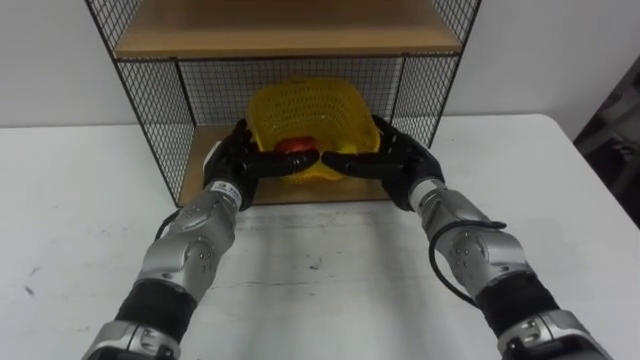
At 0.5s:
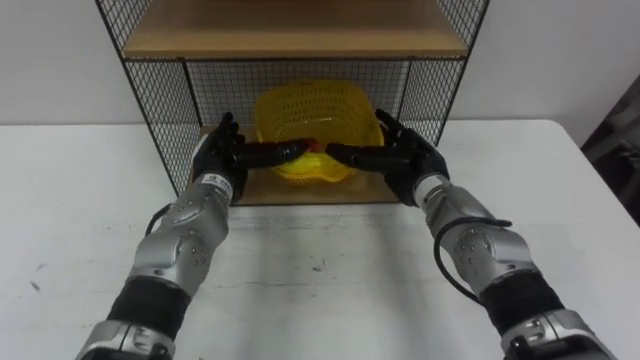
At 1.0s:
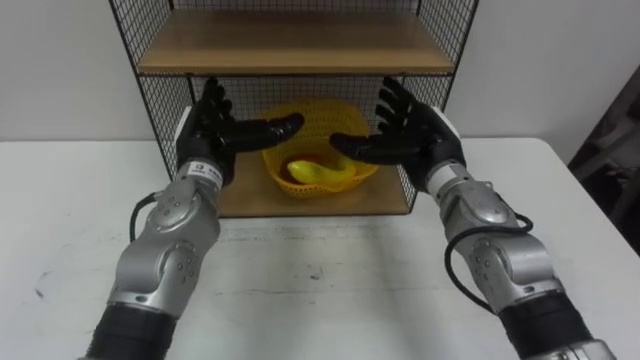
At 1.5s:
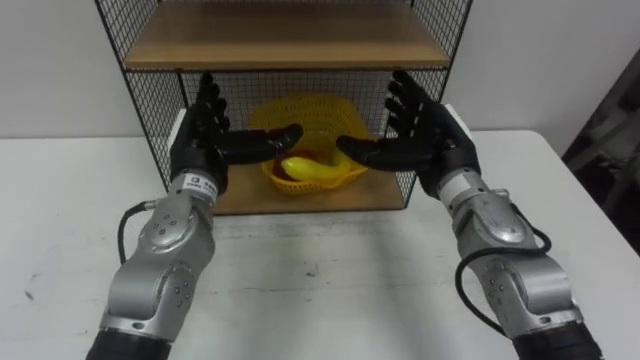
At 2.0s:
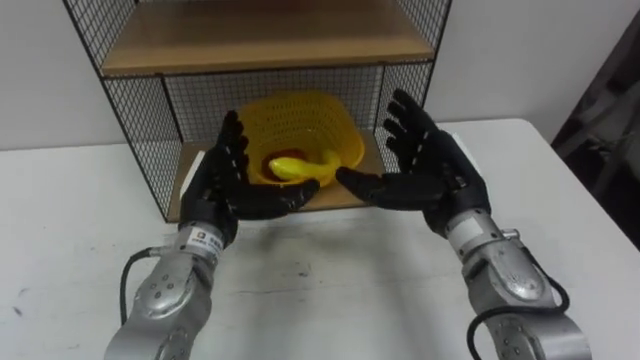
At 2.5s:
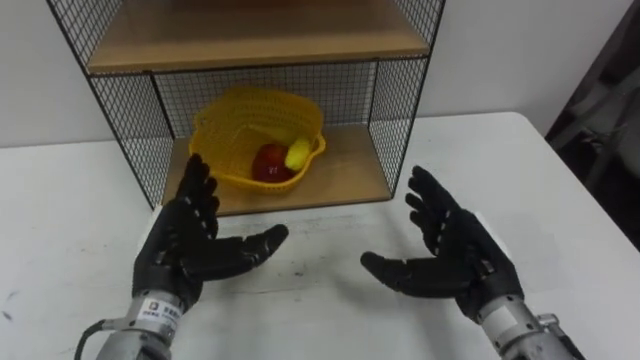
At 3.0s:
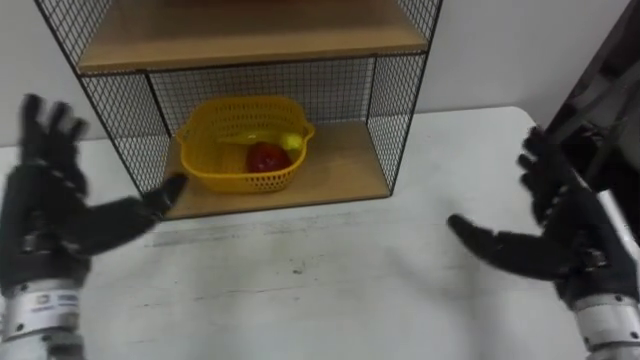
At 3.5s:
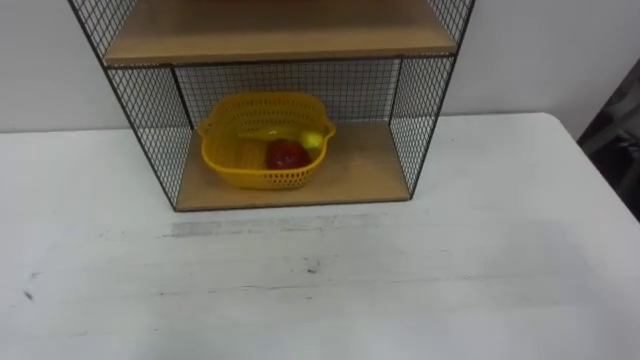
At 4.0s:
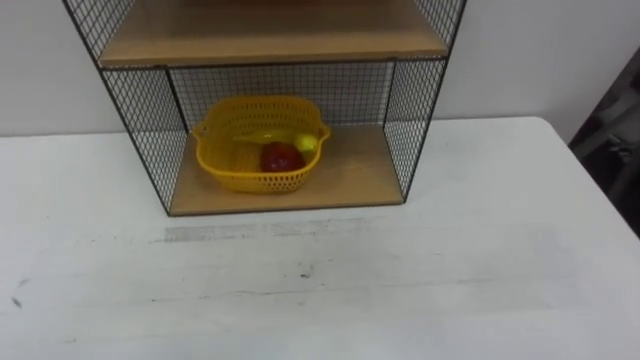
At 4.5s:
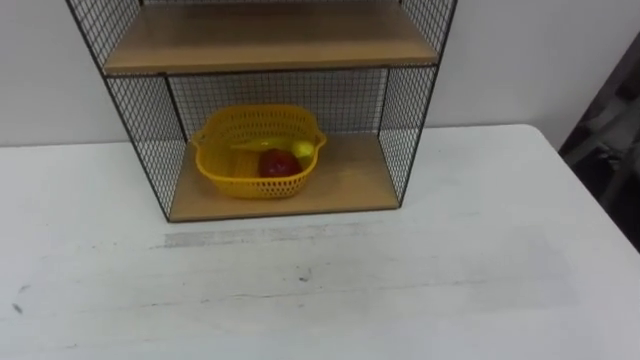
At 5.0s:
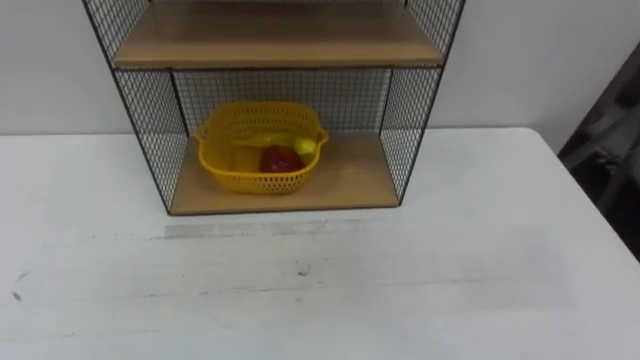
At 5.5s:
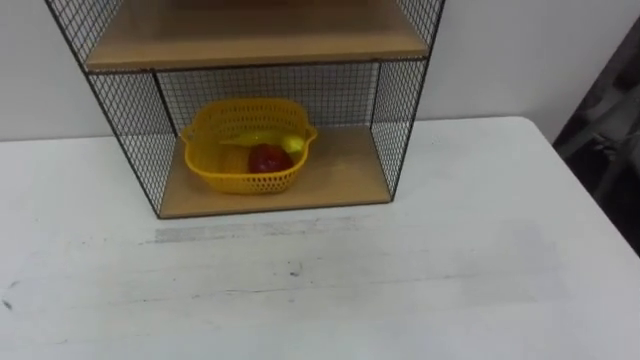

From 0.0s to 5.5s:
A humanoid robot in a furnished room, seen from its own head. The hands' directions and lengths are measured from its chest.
Task of the whole recording: Put the fruit on the table into the basket, then place the basket on the shelf.
From 0.0s to 2.0s: The left hand is displaced backward by approximately 5 cm, while the right hand is displaced upward and backward by approximately 10 cm.

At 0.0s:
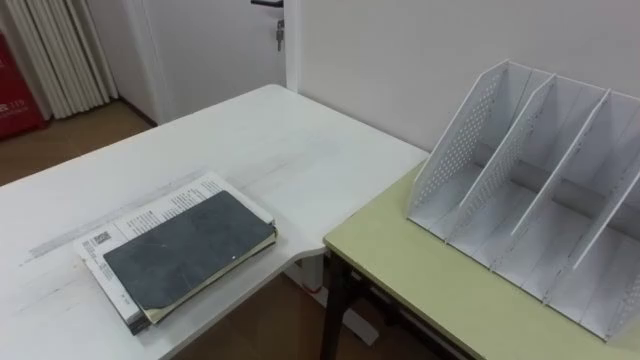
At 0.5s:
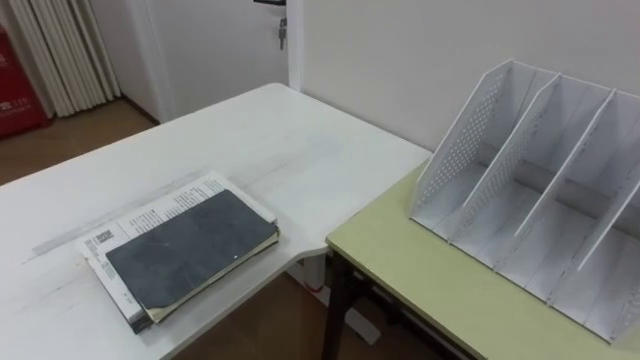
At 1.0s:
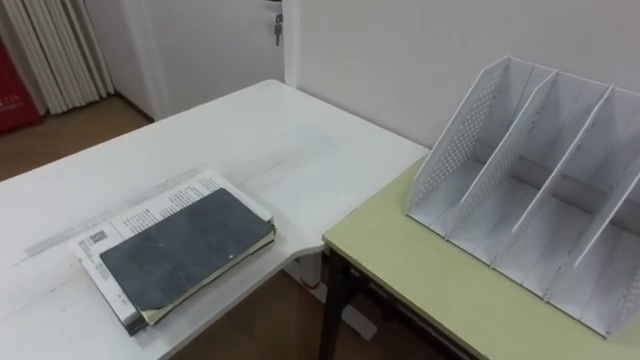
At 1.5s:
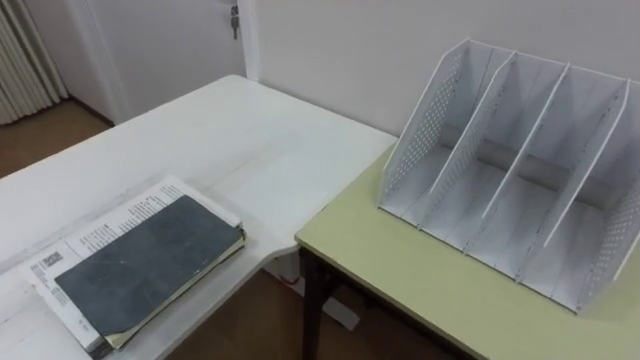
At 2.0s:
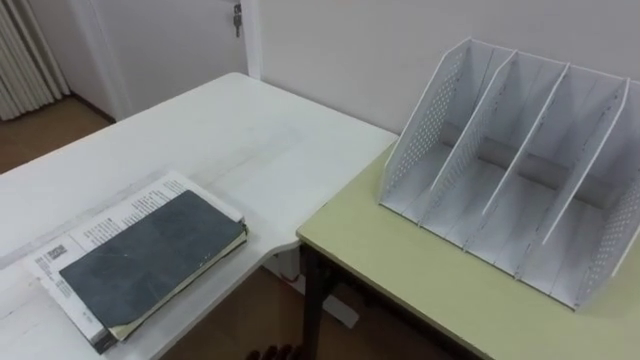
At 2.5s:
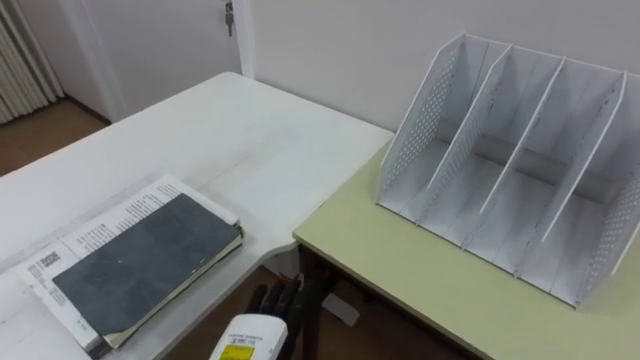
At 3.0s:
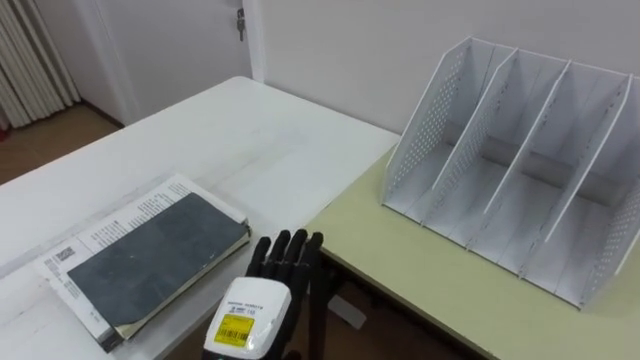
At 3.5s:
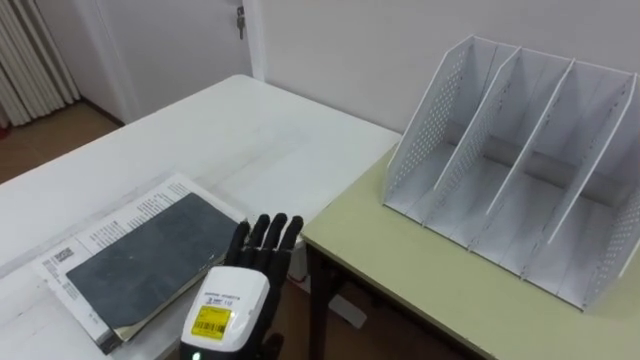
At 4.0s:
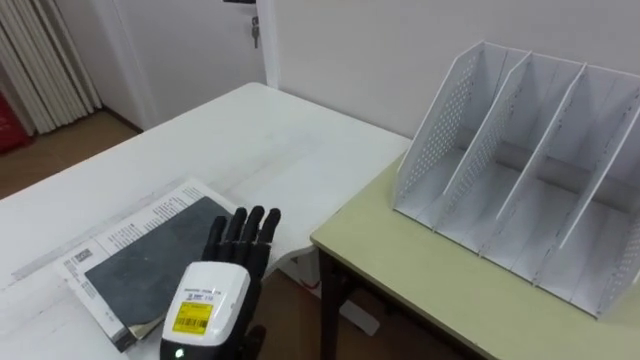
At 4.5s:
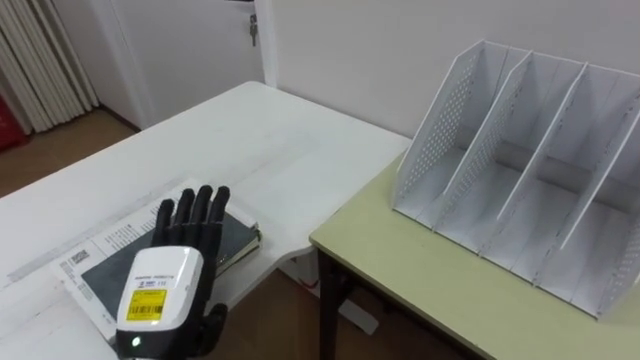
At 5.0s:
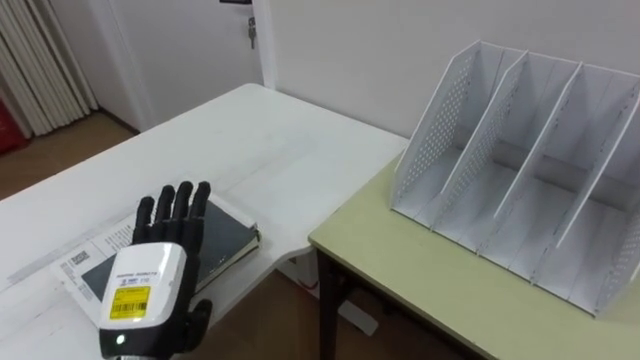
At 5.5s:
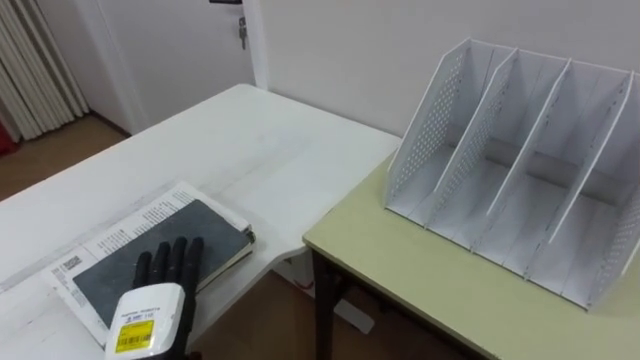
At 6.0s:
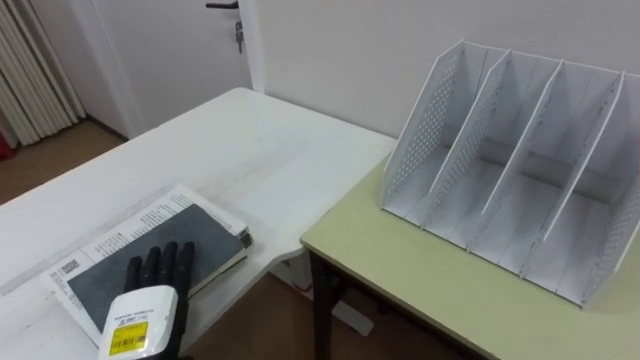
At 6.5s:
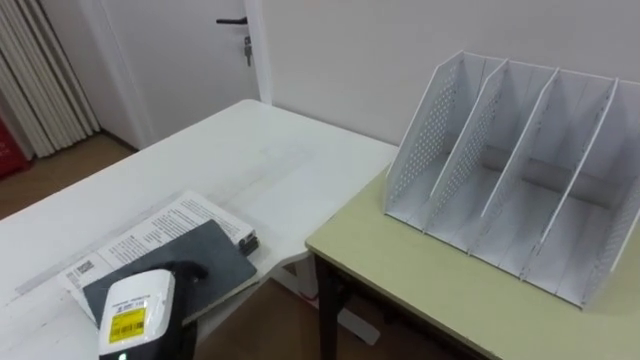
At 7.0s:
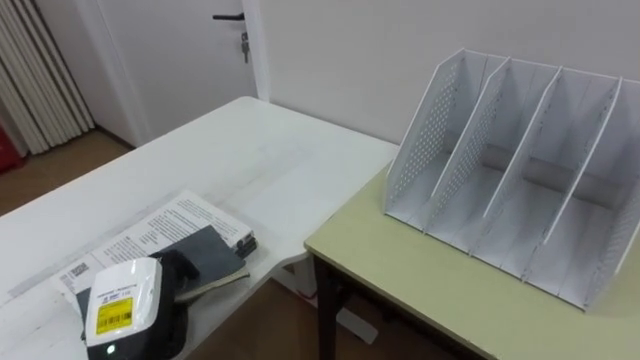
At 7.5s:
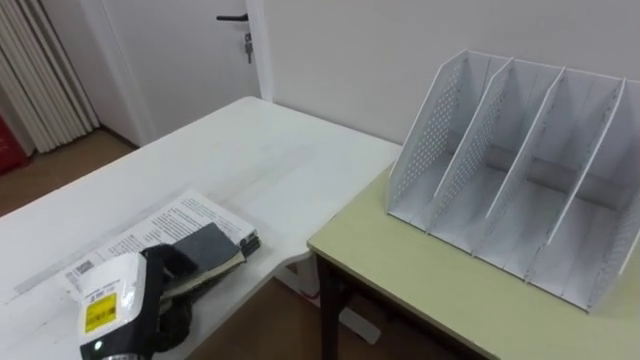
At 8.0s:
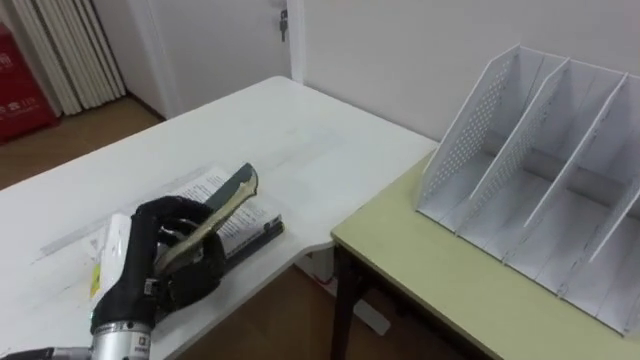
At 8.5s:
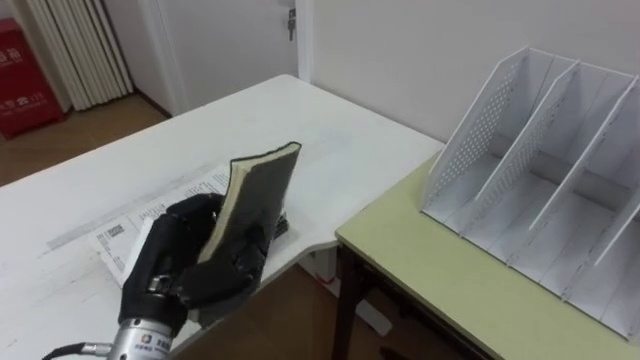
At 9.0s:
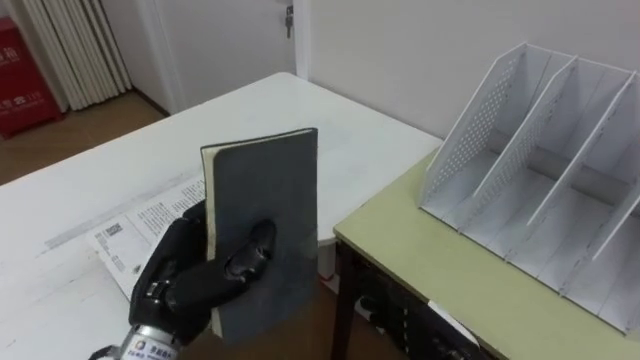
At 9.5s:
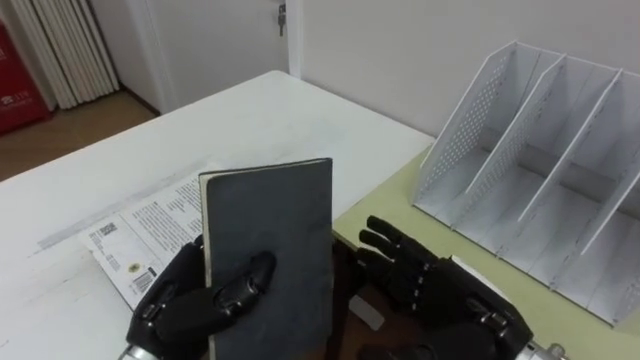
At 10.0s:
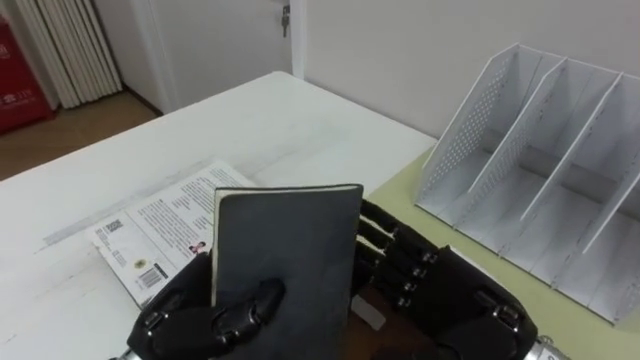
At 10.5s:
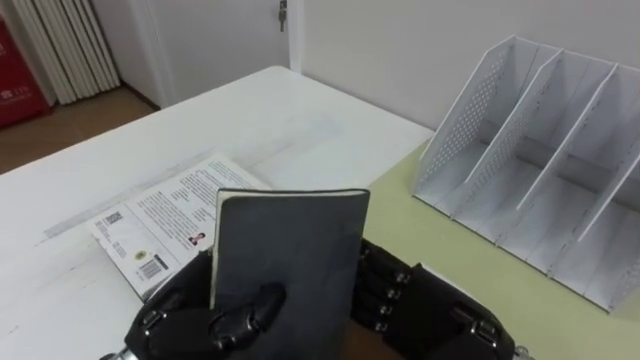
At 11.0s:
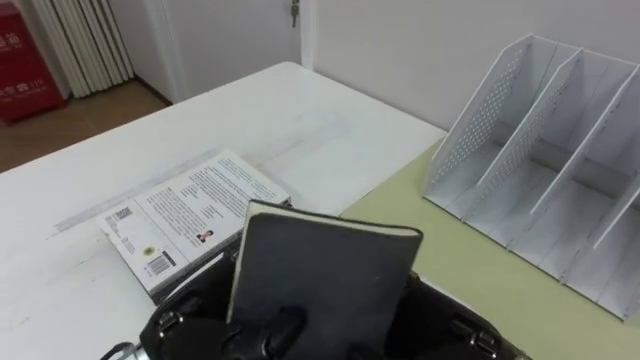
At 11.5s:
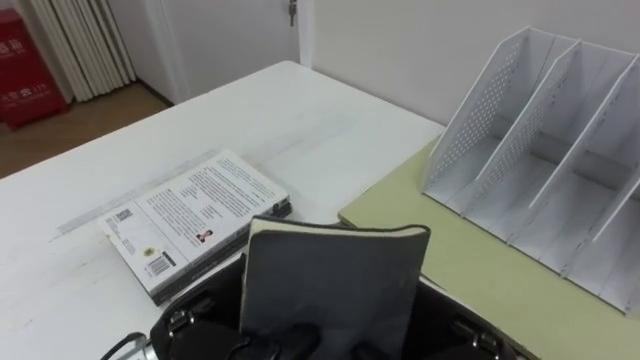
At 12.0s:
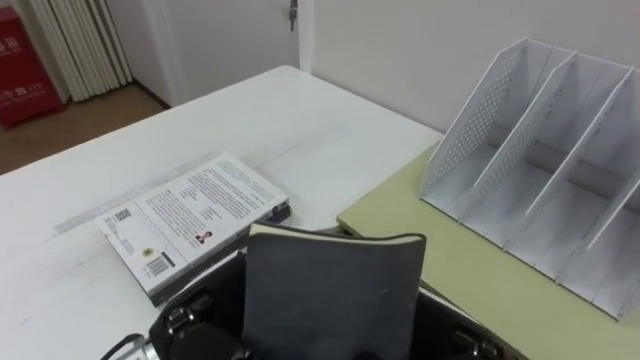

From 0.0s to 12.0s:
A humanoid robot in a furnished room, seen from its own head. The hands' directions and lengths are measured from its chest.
Task of the whole recording: Put the books on the table onto the bookshelf.
From 4.0s to 6.0s: The left hand shifts approximately 10 cm to the left and downward.
From 6.0s to 8.0s: The left hand heads upward, covering some 10 cm, and closes its fingers.
From 8.0s to 10.0s: The left hand goes approximately 5 cm to the right.
From 10.0s to 12.0s: The right hand closes. Meanwhile the left hand opens.

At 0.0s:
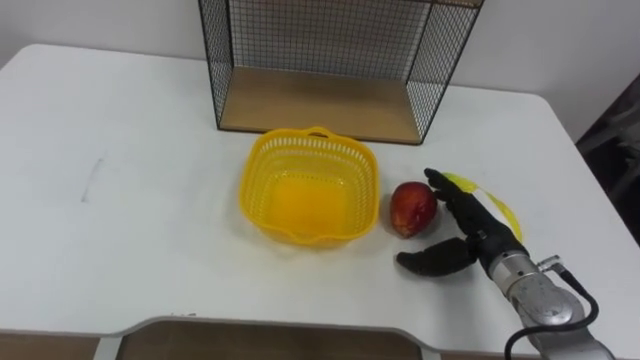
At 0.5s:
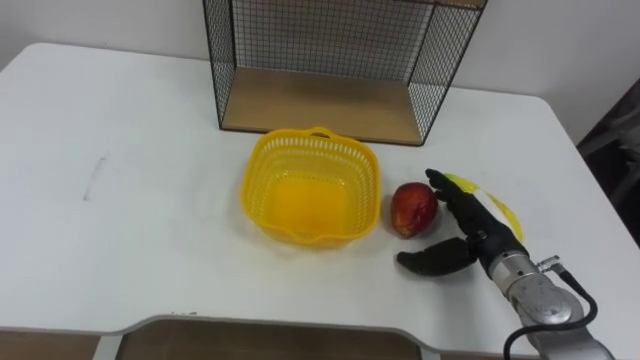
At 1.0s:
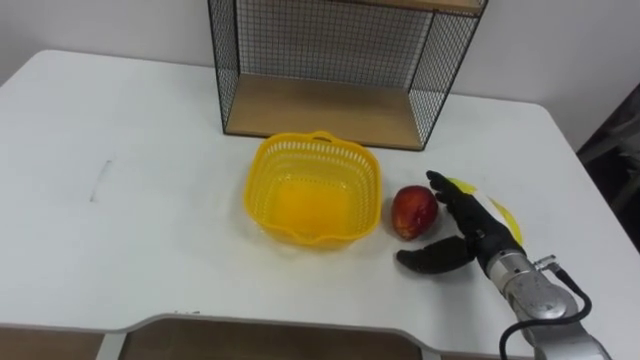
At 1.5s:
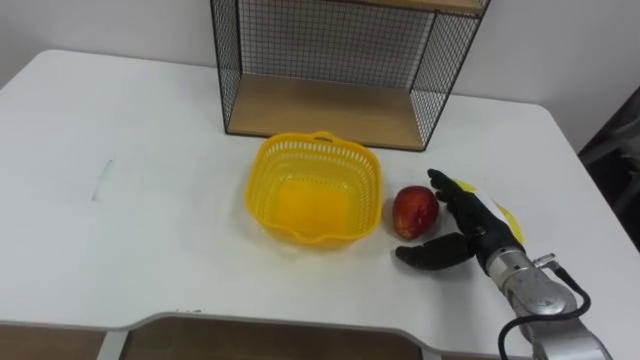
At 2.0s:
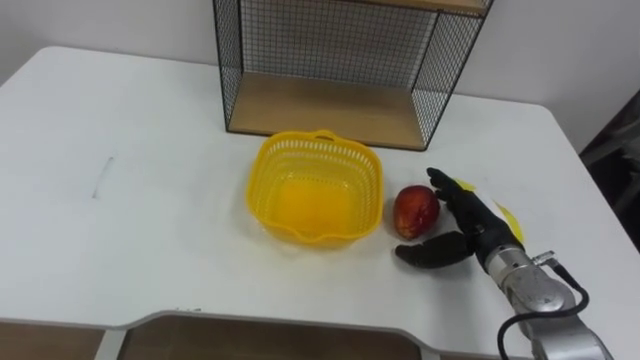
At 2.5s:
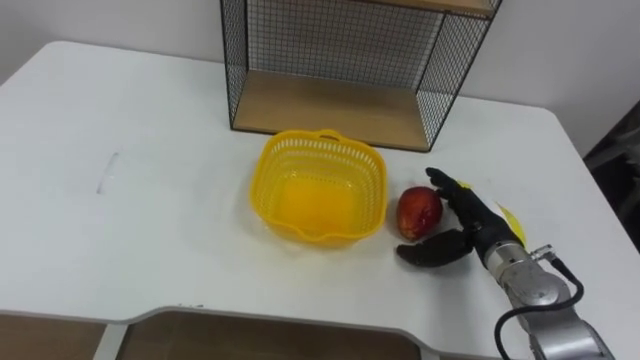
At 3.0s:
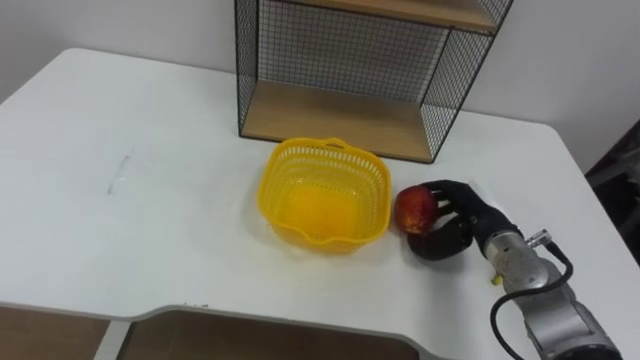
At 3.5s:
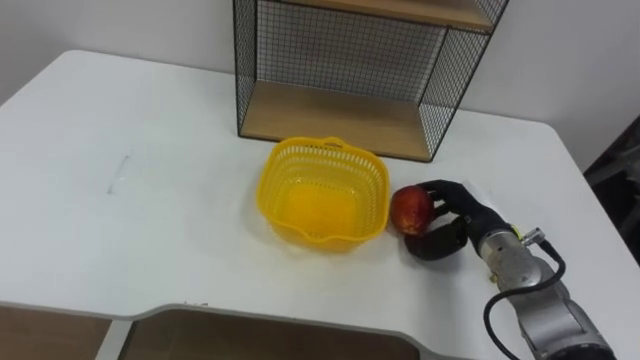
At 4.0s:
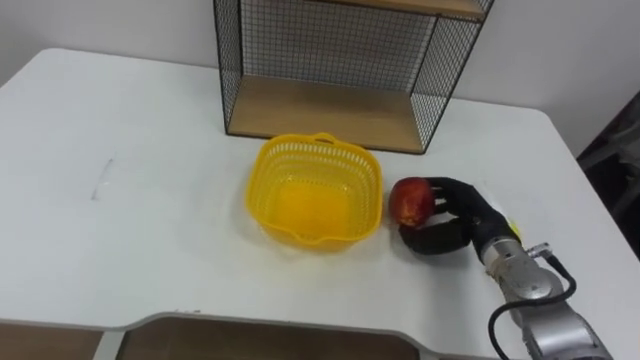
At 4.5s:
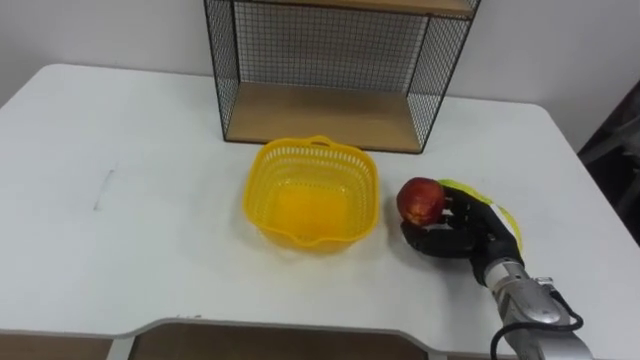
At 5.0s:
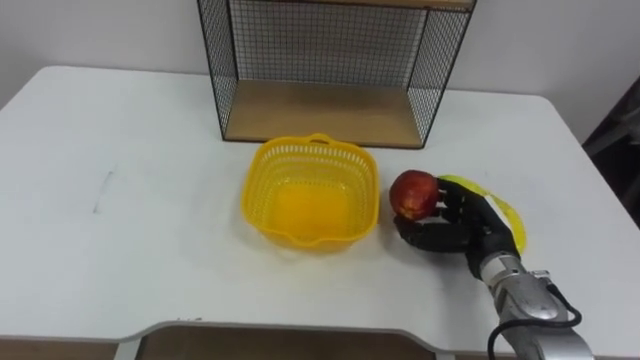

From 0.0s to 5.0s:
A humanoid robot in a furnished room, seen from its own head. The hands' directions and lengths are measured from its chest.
Task of the whole recording: Put the fruit on the table into the basket, then place the basket on the shelf.
From 2.5s to 5.0s: The right hand closes up.
